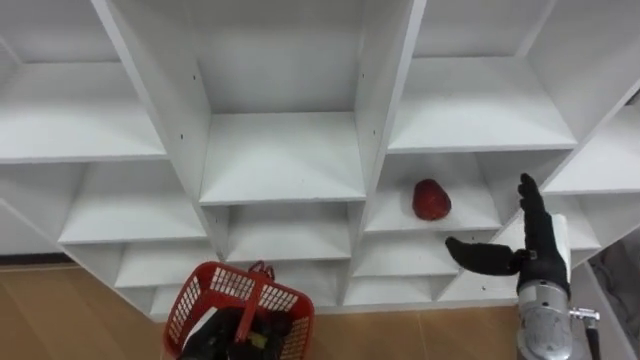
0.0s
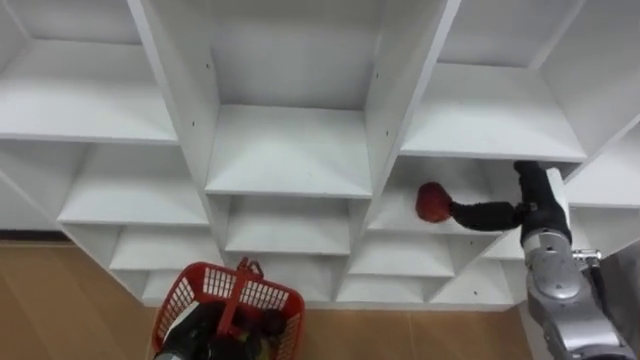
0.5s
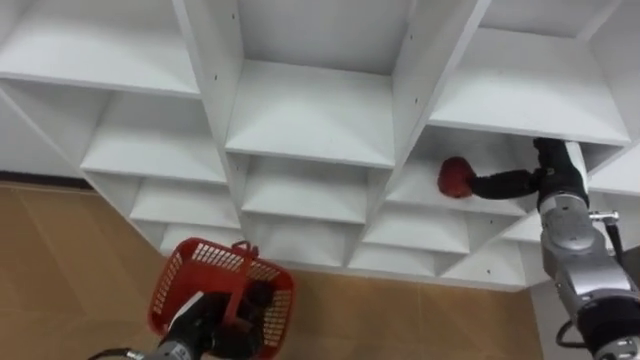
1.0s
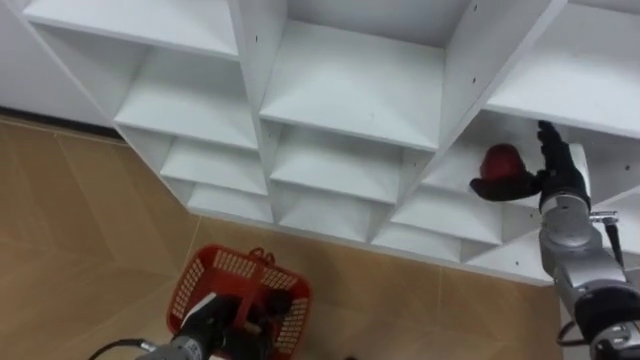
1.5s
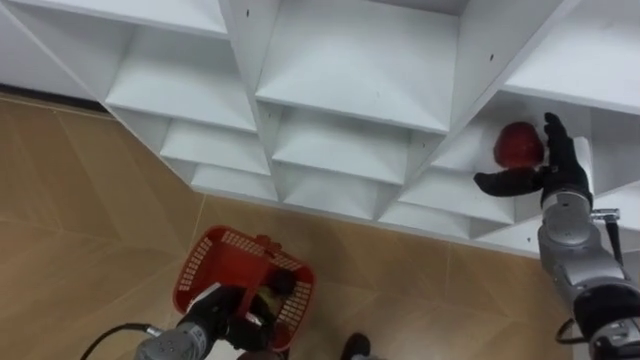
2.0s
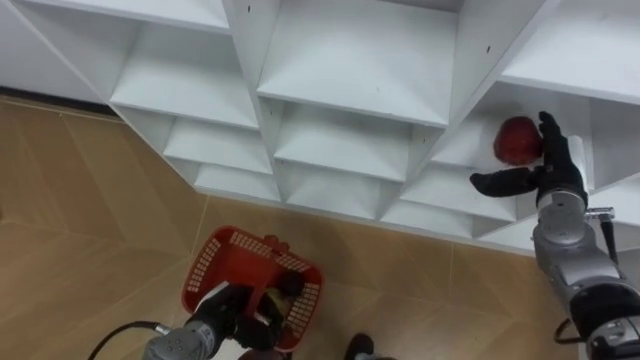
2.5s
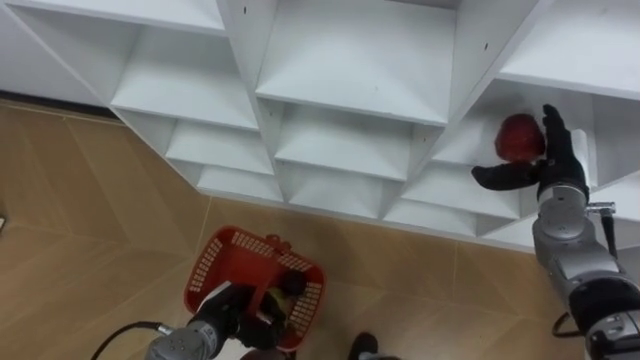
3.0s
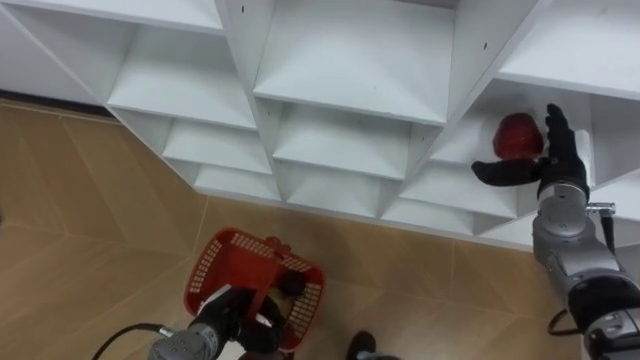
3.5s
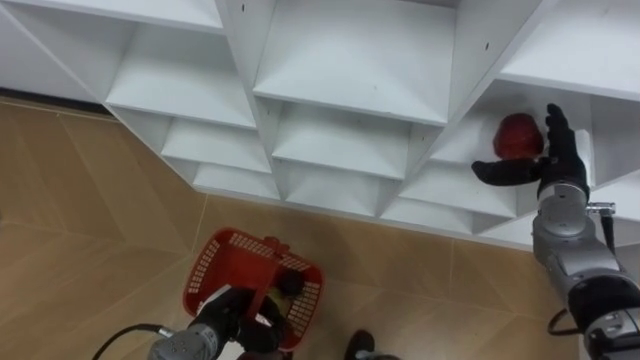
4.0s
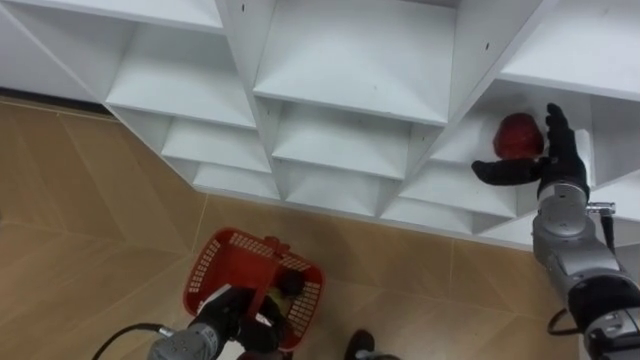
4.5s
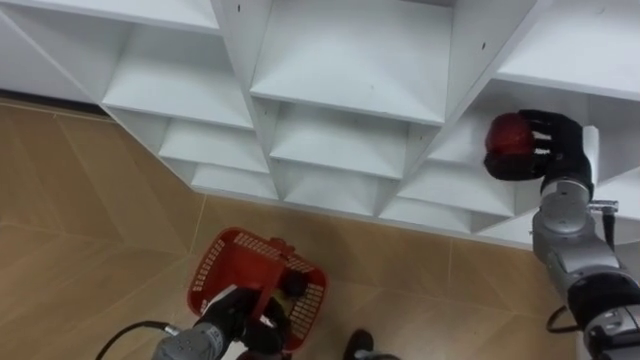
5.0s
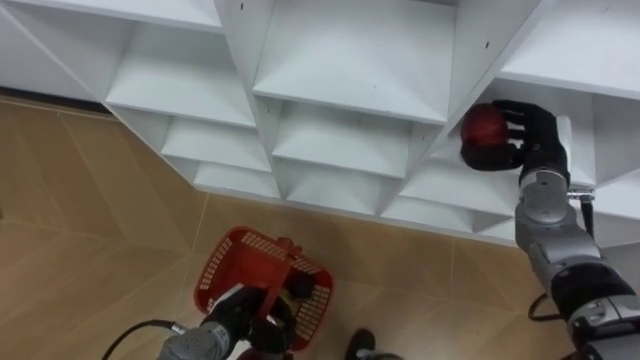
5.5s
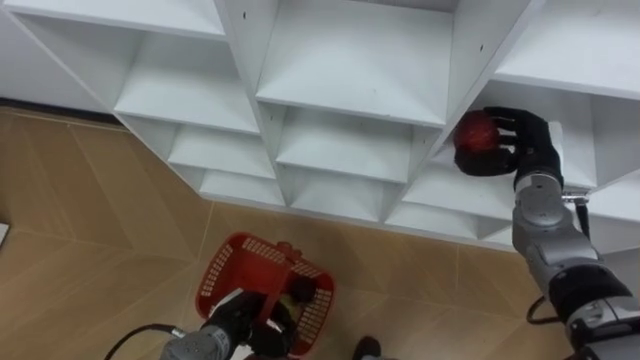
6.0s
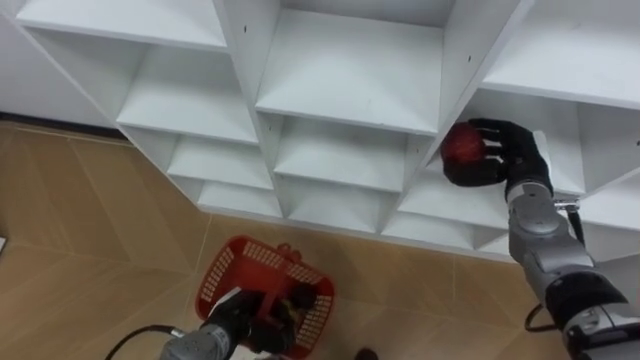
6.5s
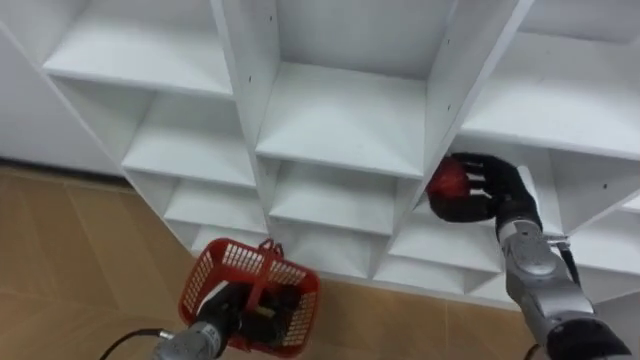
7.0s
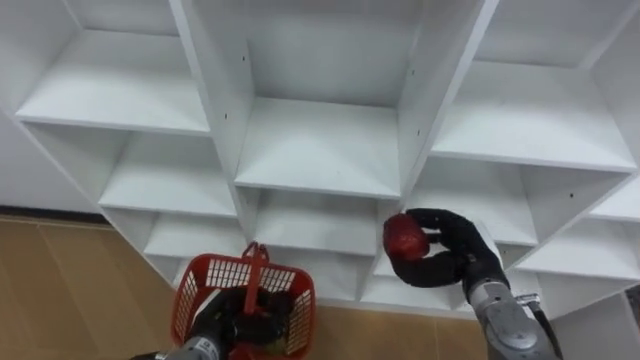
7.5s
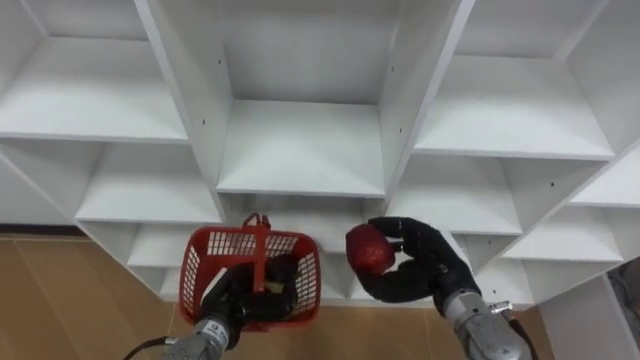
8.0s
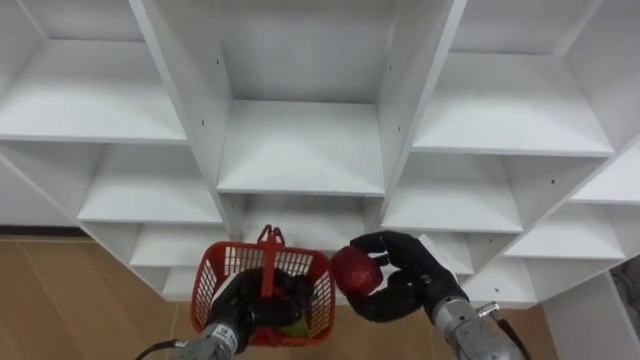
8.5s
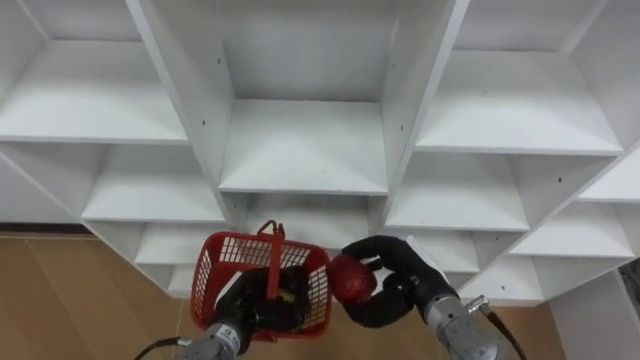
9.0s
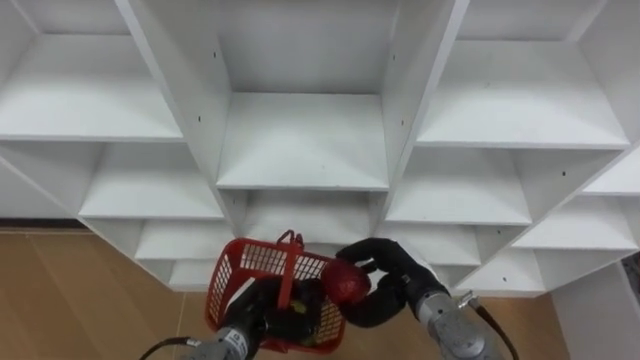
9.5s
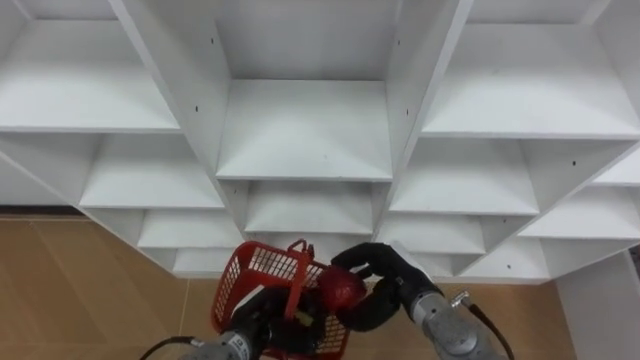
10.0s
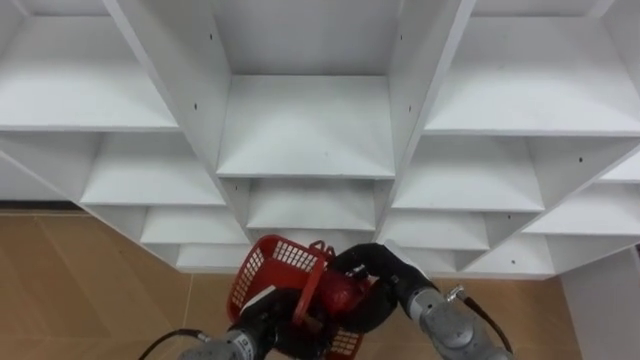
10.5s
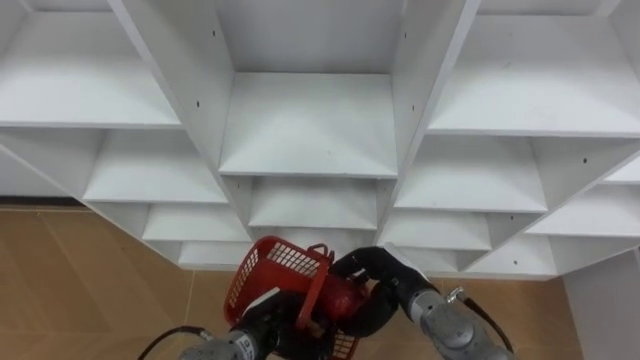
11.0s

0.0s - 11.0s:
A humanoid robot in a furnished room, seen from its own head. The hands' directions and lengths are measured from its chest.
Task of the whole recording: Hold the basket and collect the fruits from 3 different cells of the closet into it.
0.0s - 2.0s: The right hand is displaced forward by about 10 cm.
3.5s - 5.5s: The right hand closes.
5.5s - 7.5s: The right hand goes roughly 15 cm backward, downward and to the left.
7.5s - 9.0s: The right hand goes some 10 cm to the left.

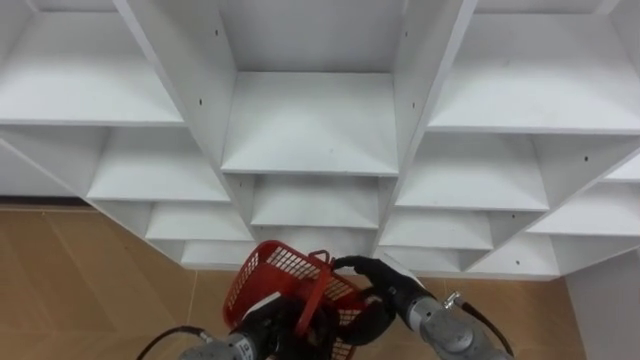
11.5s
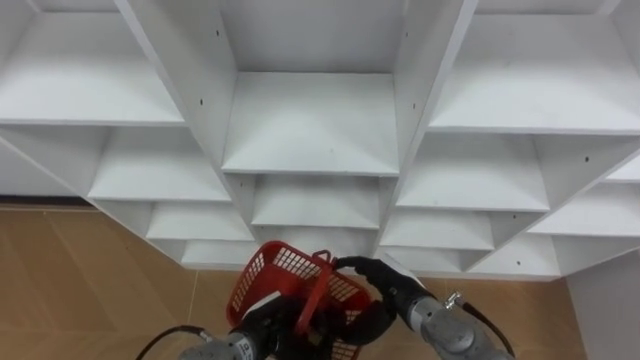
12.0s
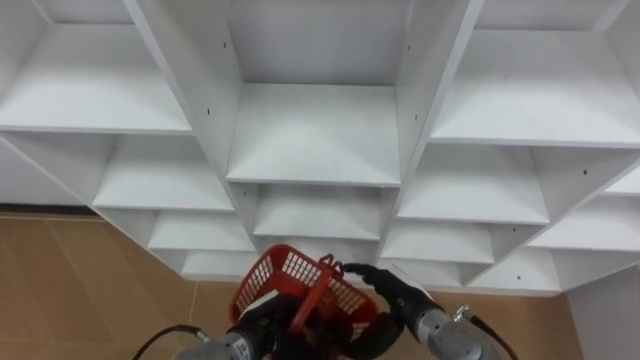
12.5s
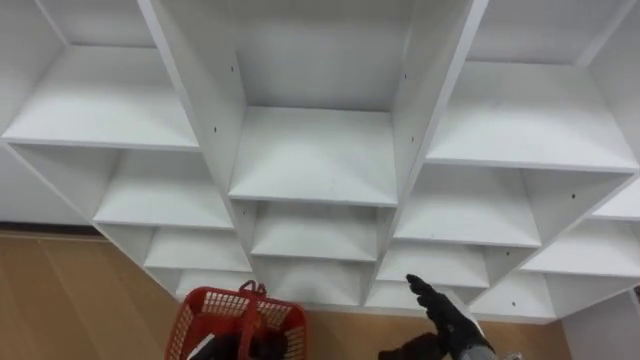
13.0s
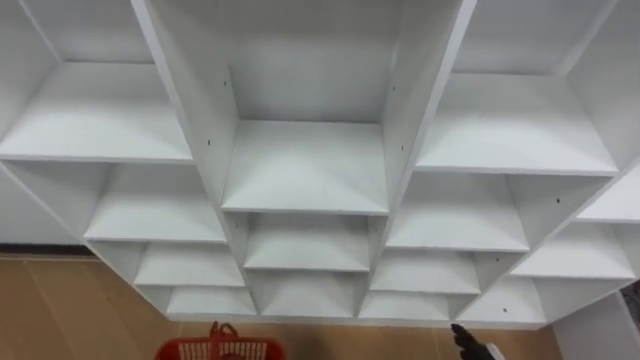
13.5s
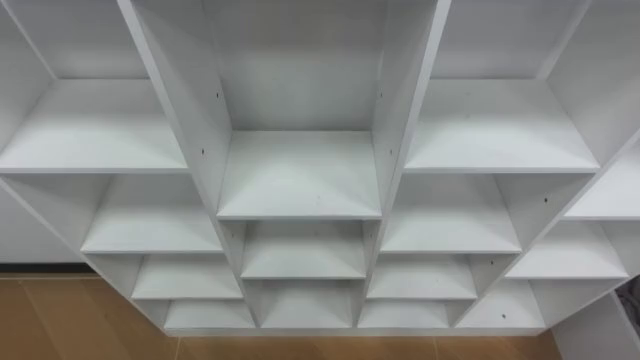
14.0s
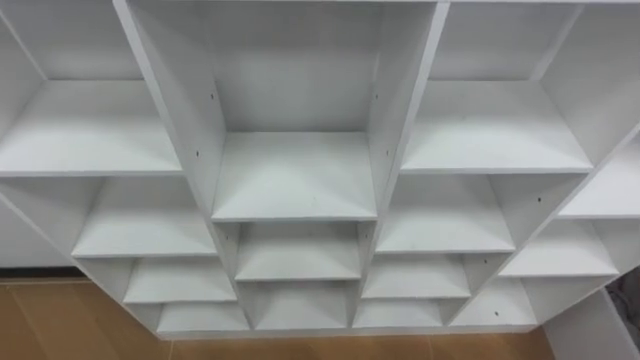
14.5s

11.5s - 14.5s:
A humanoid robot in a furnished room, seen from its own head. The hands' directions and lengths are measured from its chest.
Task of the whole recording: Hold the basket and collect the fruits from 3 different cells of the closet into it.
11.5s - 13.0s: The right hand heads to the right, covering approximately 10 cm.

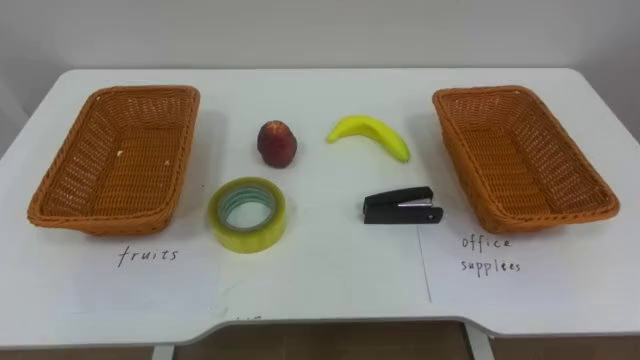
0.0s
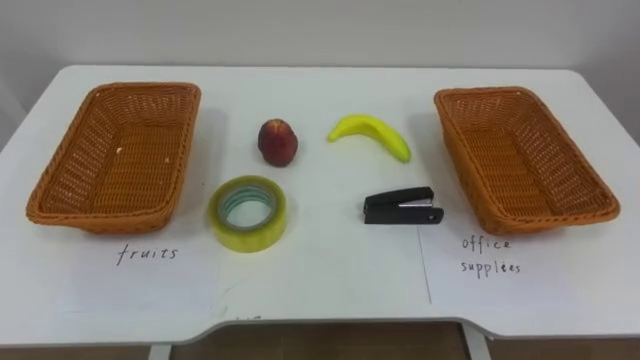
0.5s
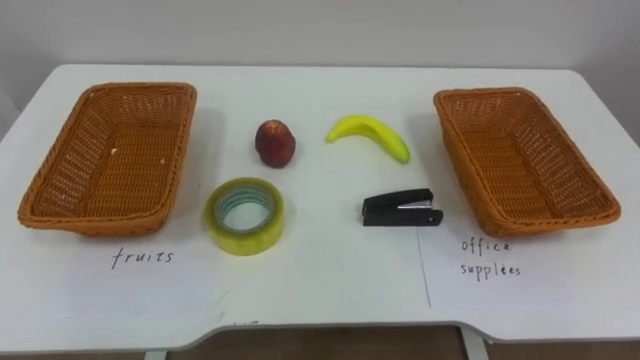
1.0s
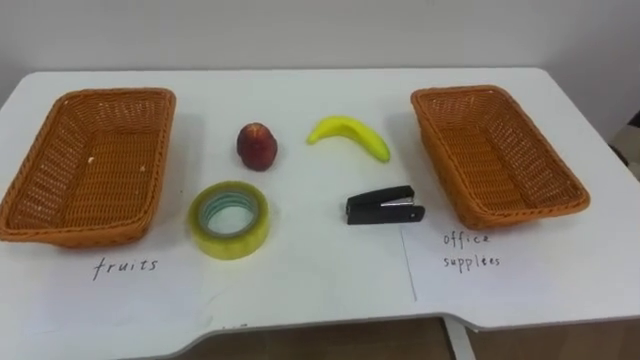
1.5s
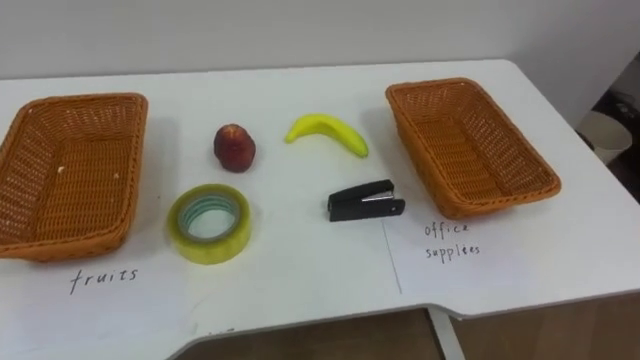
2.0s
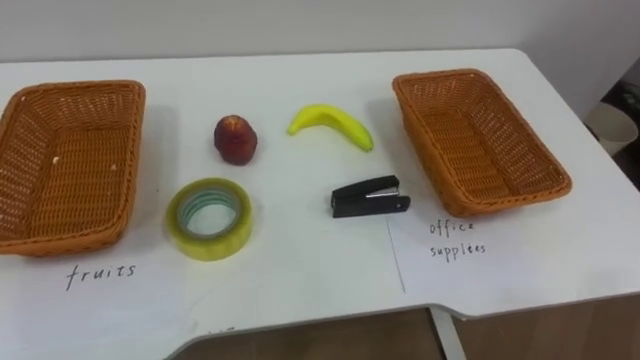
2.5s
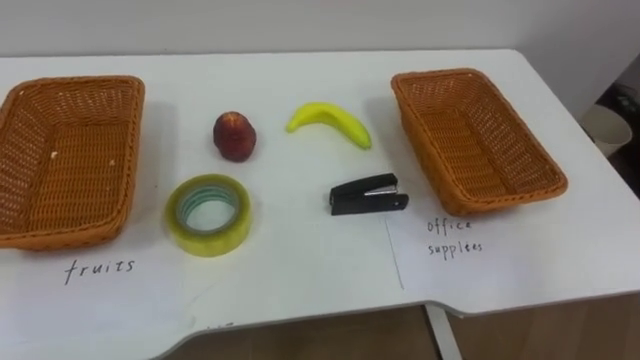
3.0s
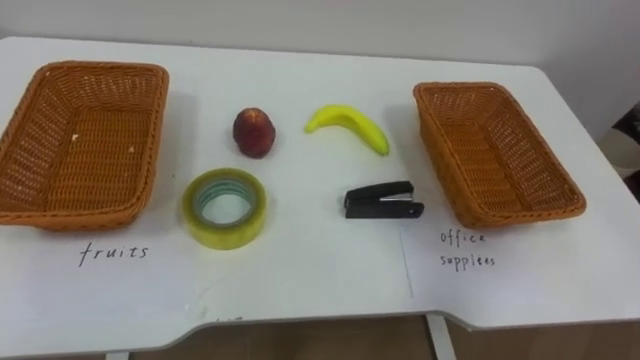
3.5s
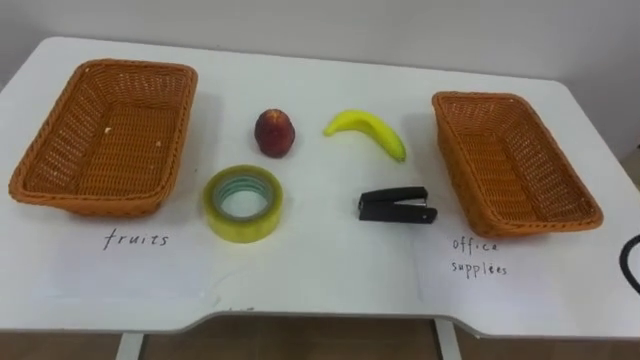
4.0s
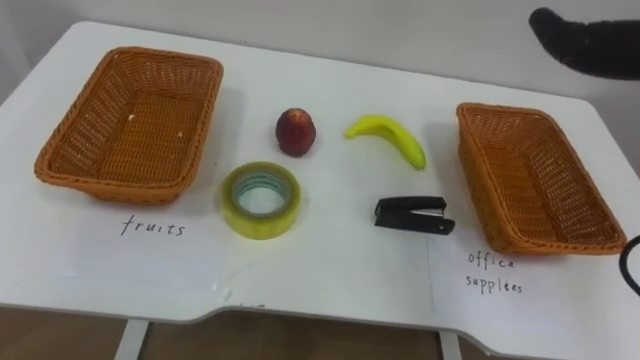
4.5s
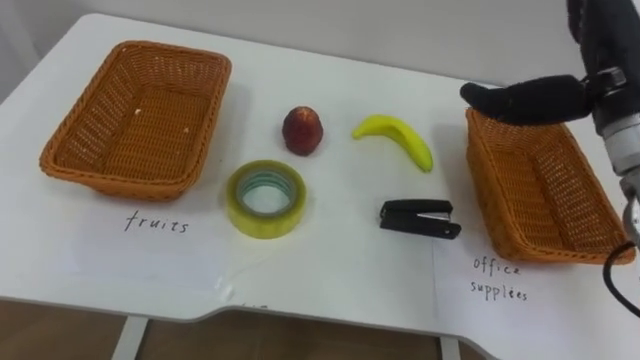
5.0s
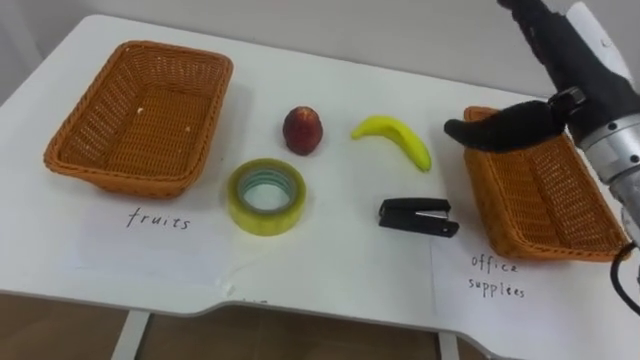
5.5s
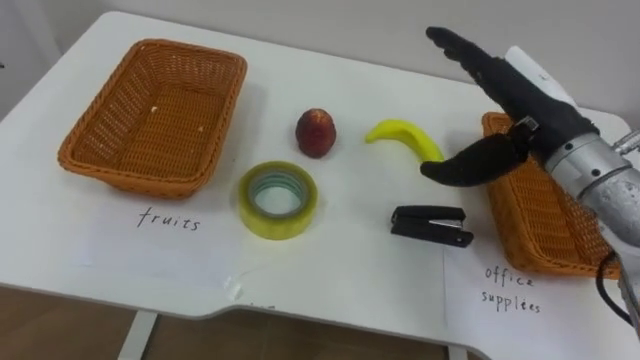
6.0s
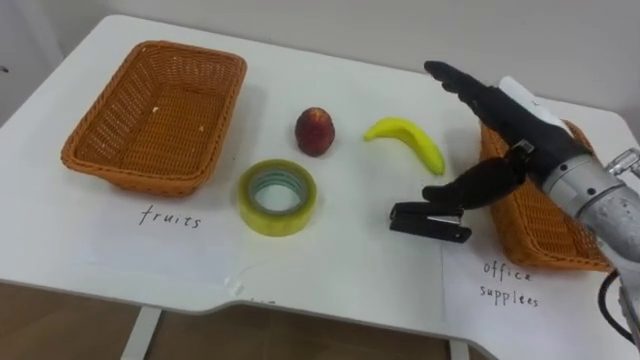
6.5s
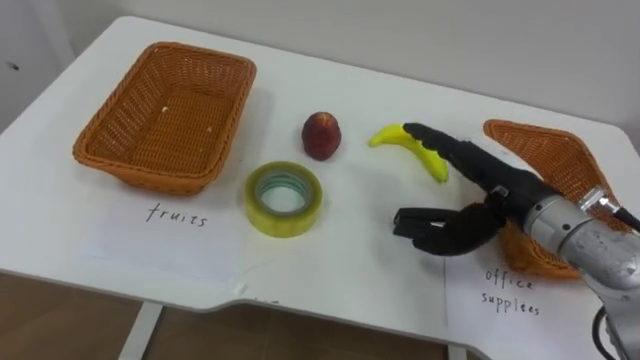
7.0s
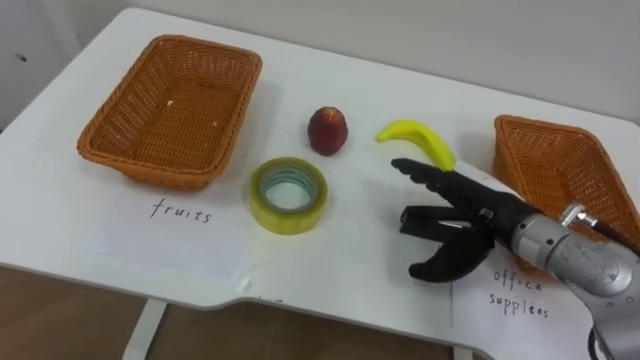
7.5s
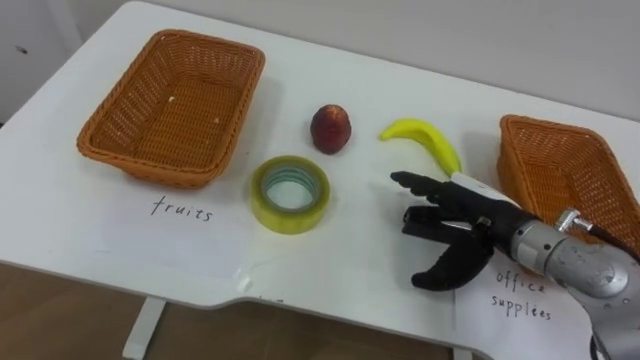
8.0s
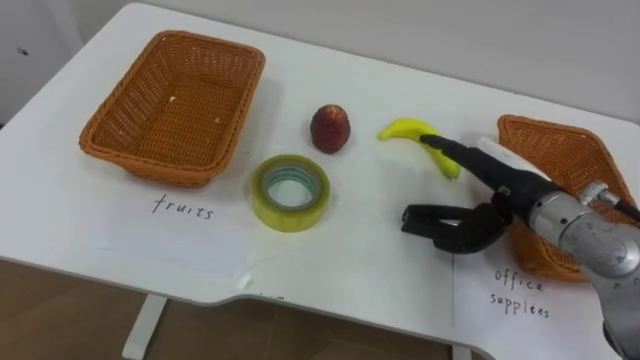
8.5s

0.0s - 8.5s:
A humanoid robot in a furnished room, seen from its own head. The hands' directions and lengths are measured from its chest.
Task of the whole recording: Separate the items on the table and place them into the two baskets.
6.5s - 8.5s: The right hand travels downward by approximately 5 cm.
